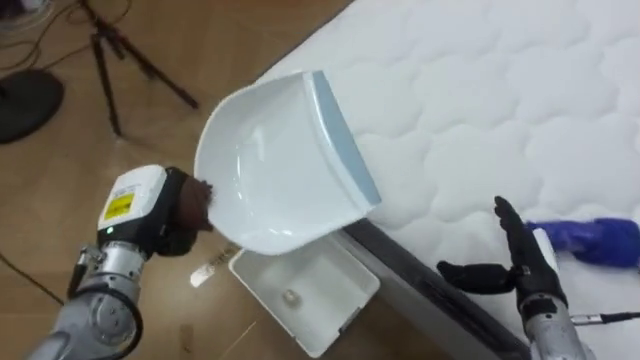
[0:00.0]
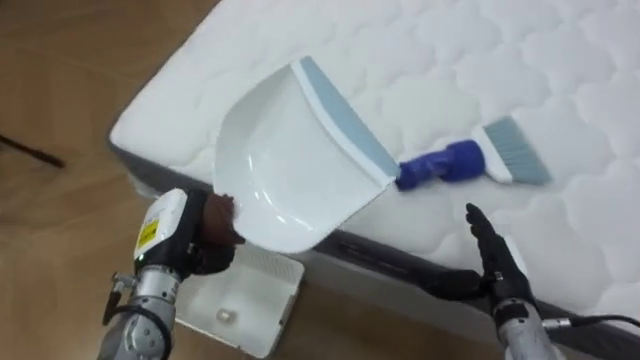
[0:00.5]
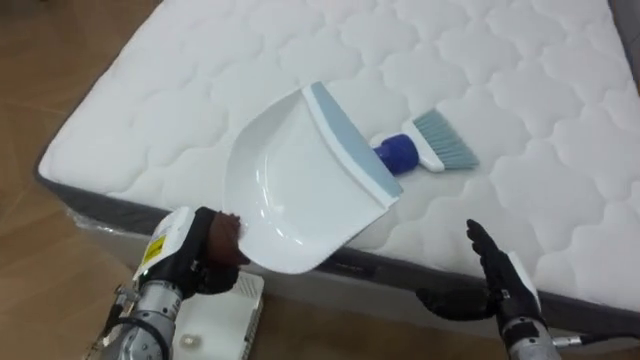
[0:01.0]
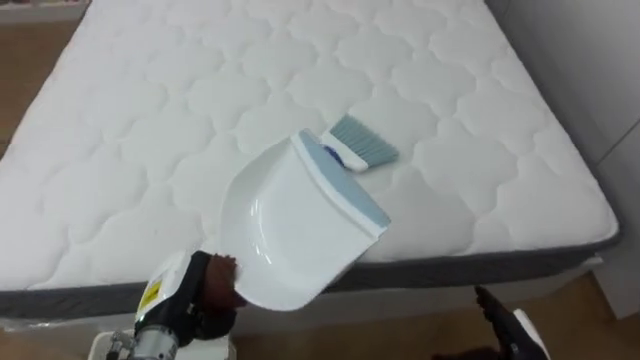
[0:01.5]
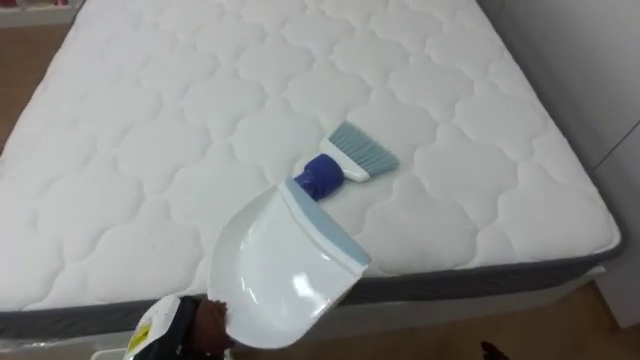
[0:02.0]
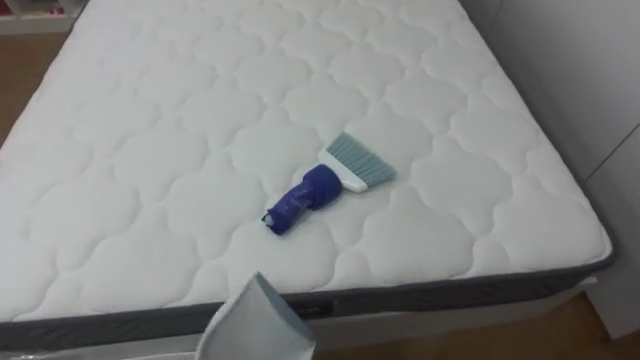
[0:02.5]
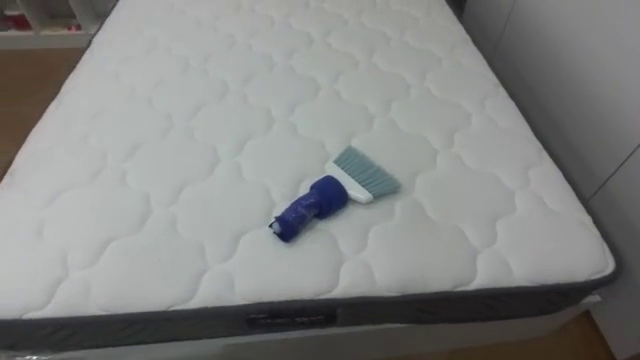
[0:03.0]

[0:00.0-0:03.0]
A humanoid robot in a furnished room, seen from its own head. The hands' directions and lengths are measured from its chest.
Task of the whole recording: Pick up the brush on your right and the dustpan on your left. Use the brush to sweep the crumpled paper on the bed into the dustpan, then turn left and empty it into the basket.
0:00.0 to 0:01.5: The robot rotates approximately 55 degrees to its right. The hands both shift downward and backward by approximately 10 cm.

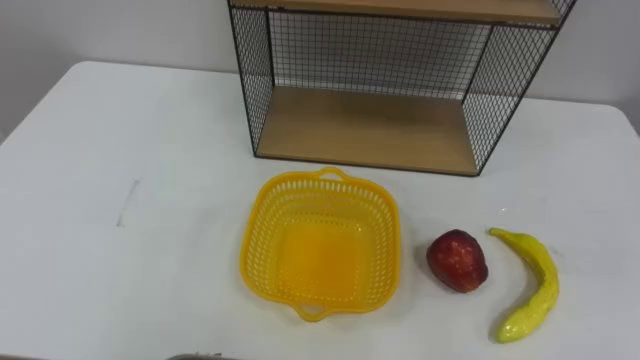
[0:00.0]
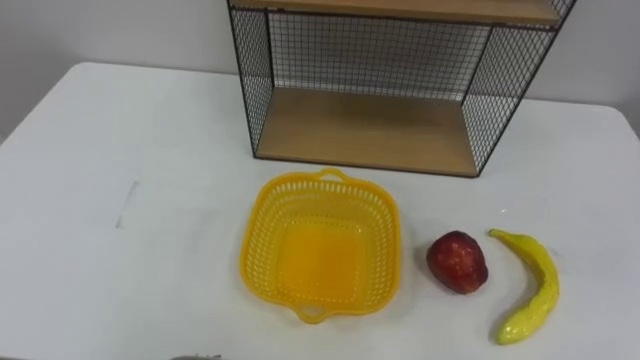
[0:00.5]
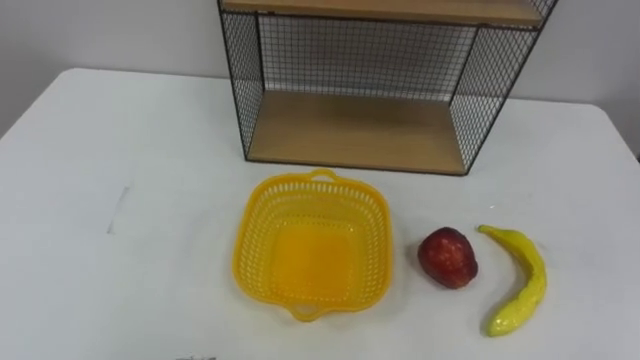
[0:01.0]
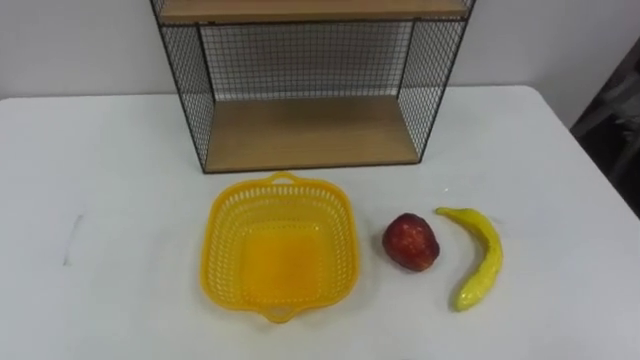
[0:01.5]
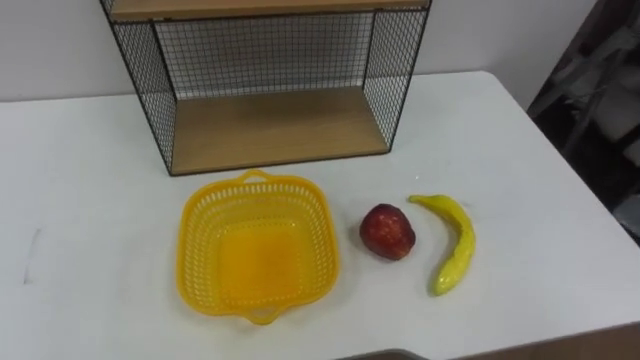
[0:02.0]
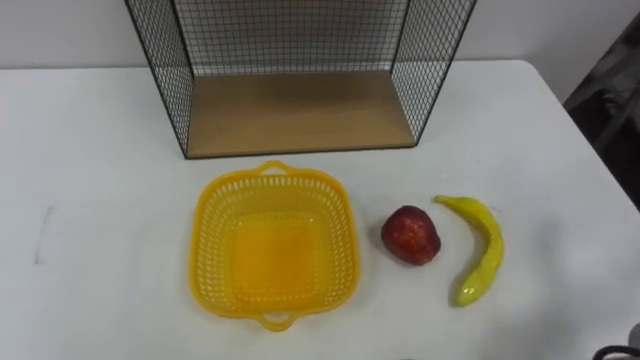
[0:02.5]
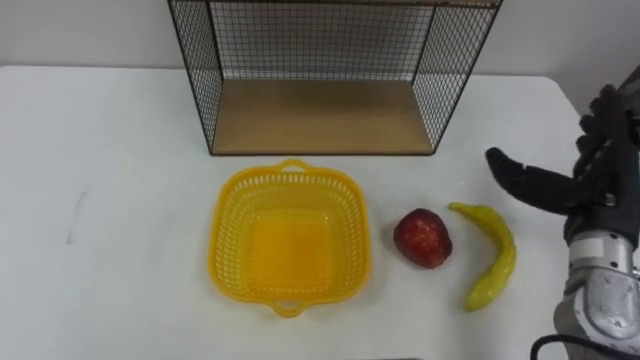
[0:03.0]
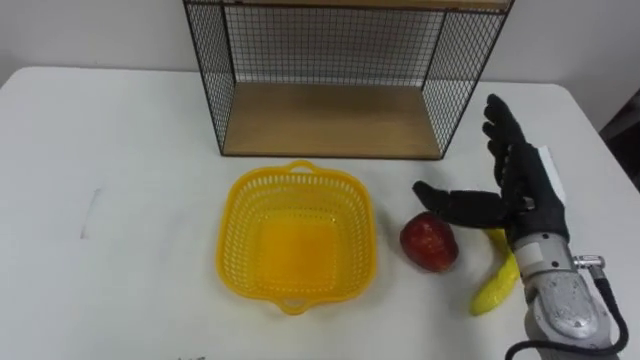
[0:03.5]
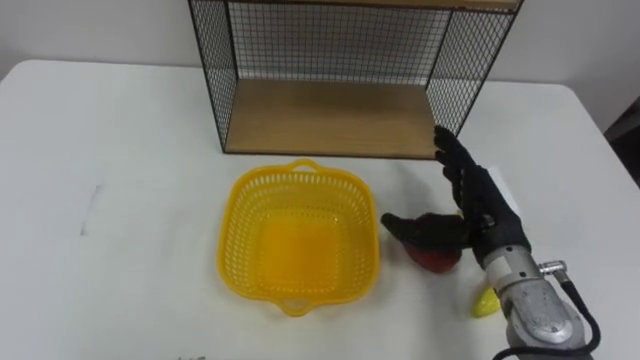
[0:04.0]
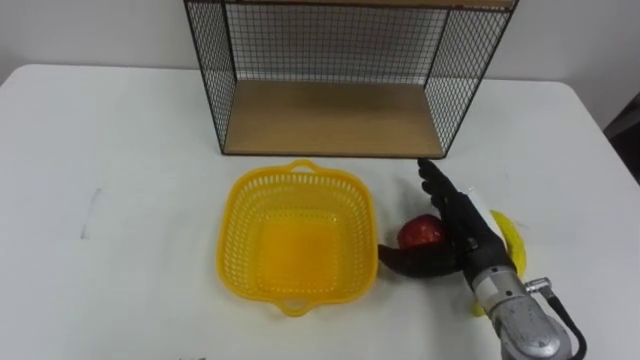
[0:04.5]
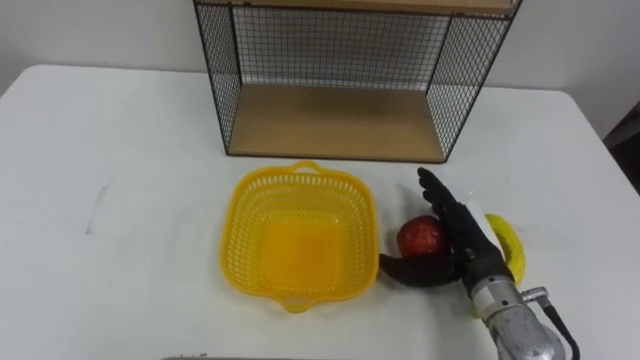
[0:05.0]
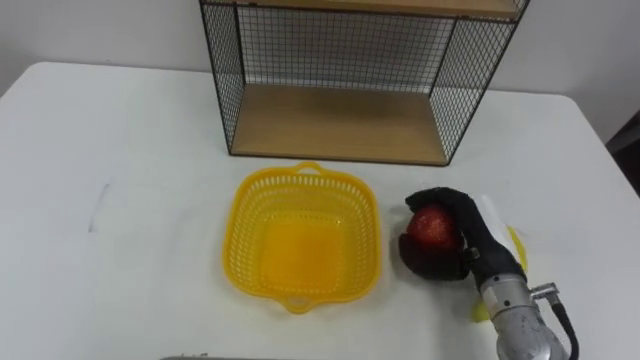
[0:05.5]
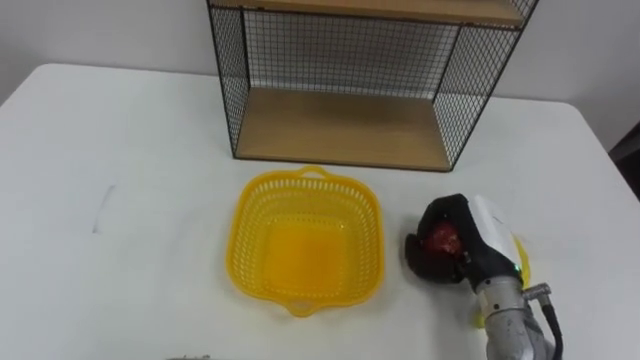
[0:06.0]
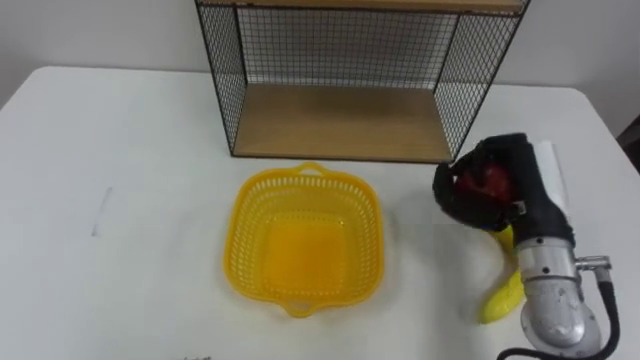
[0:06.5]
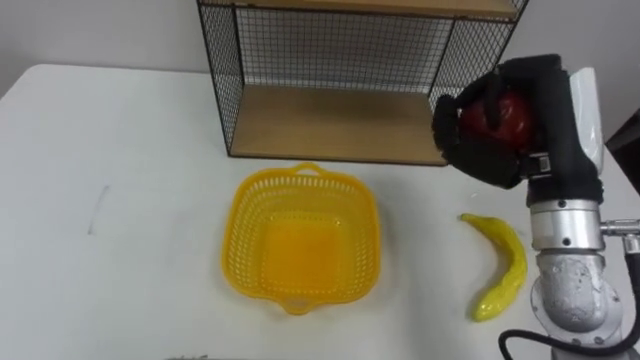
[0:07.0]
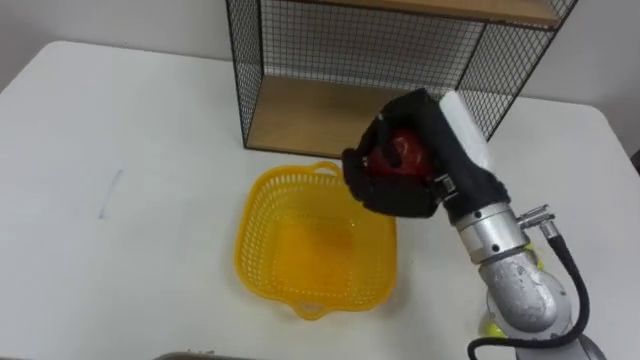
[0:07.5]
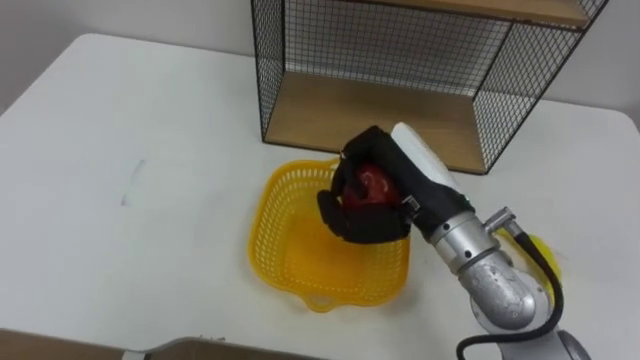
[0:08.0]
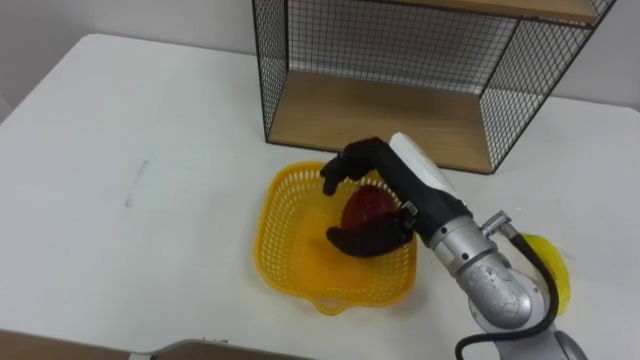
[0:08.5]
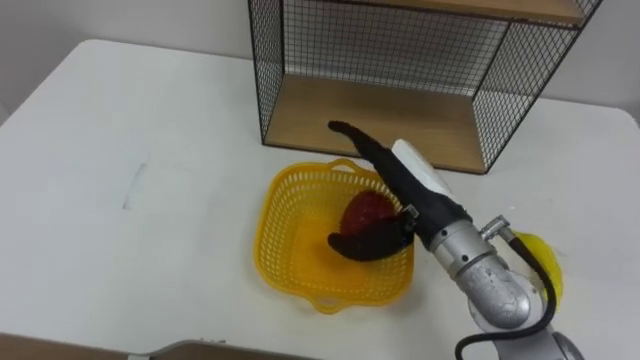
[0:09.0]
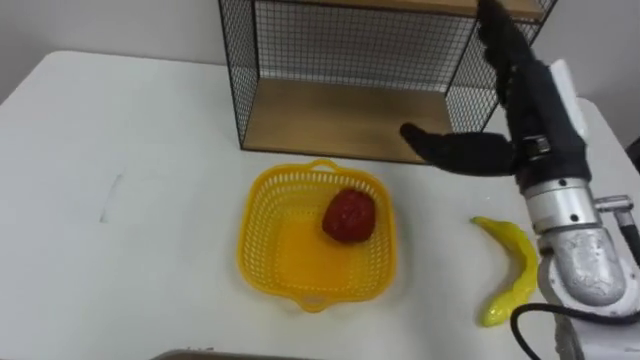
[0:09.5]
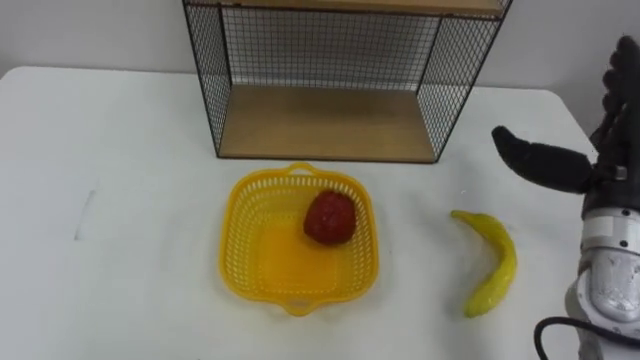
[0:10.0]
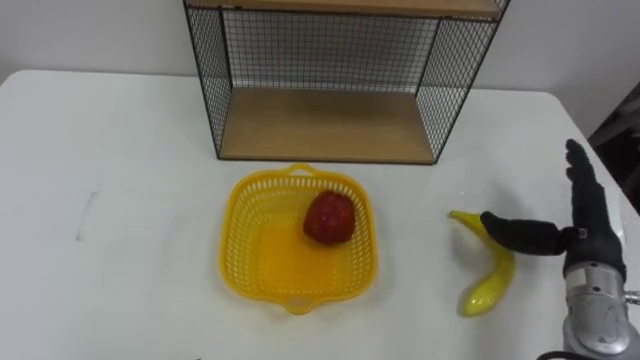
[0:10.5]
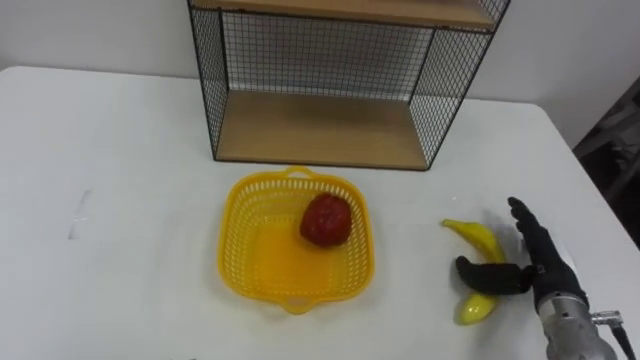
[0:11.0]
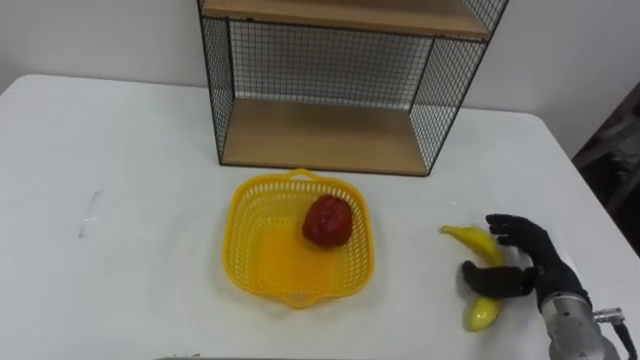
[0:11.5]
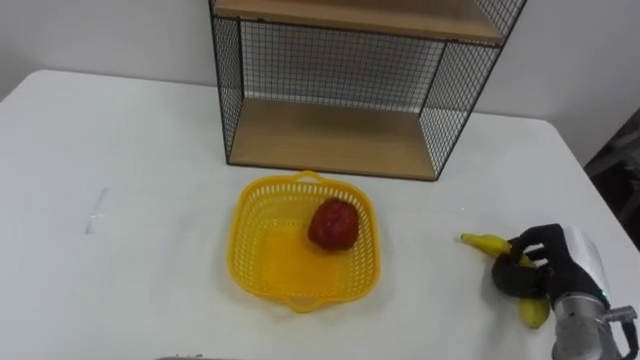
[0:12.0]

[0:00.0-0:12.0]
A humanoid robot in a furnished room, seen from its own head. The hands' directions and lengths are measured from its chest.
Task of the whole recording: Put the fruit on the table into the basket, then place the basket on the shelf.
0:04.0 to 0:06.0: The right hand goes roughly 5 cm downward, and closes up.
0:06.0 to 0:08.0: The right hand shifts some 15 cm upward and to the left.
0:08.0 to 0:10.0: The right hand moves to the right, about 20 cm, and opens up.
0:10.0 to 0:12.0: The right hand heads downward, covering some 20 cm, and closes up.

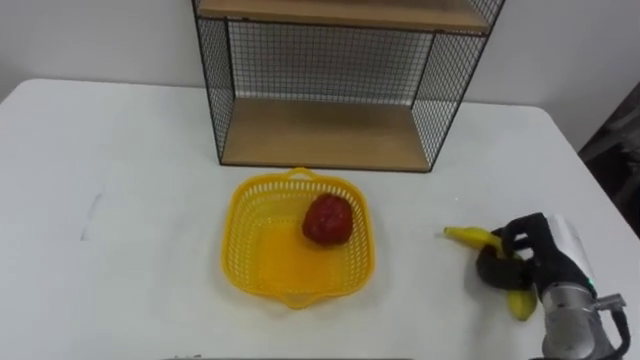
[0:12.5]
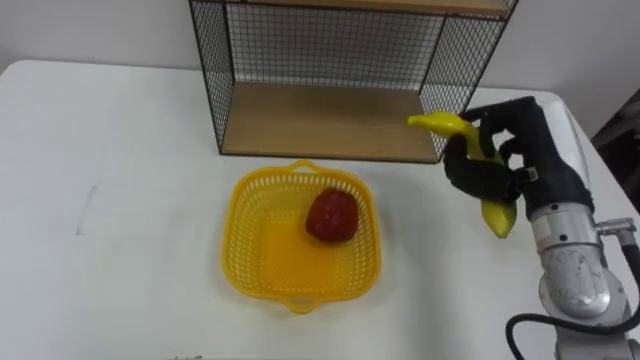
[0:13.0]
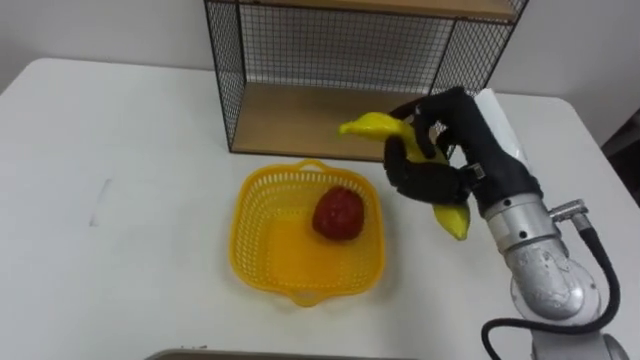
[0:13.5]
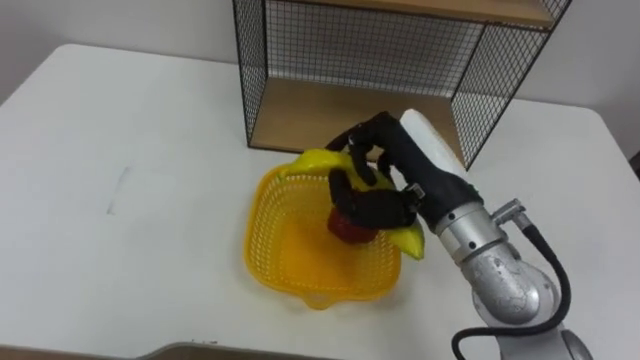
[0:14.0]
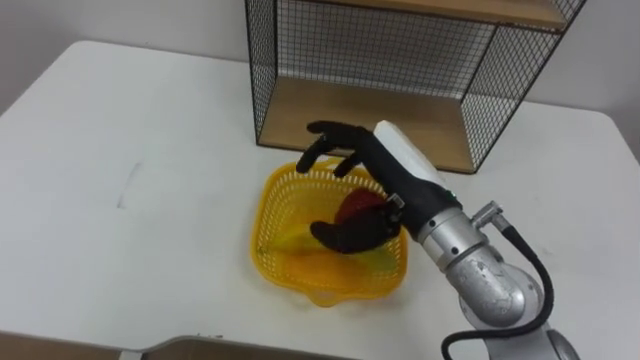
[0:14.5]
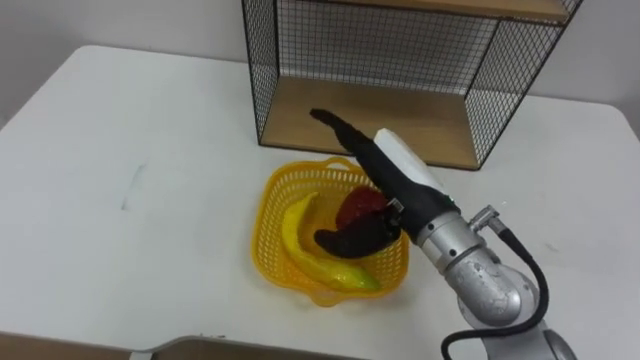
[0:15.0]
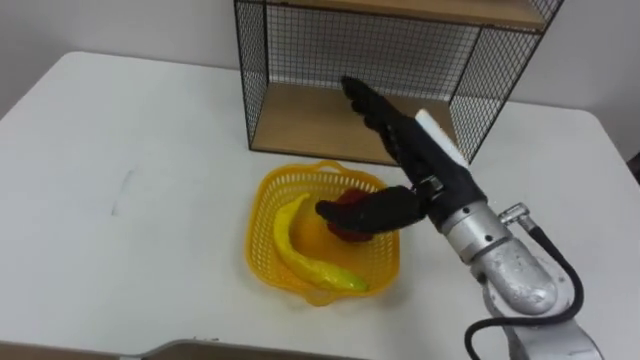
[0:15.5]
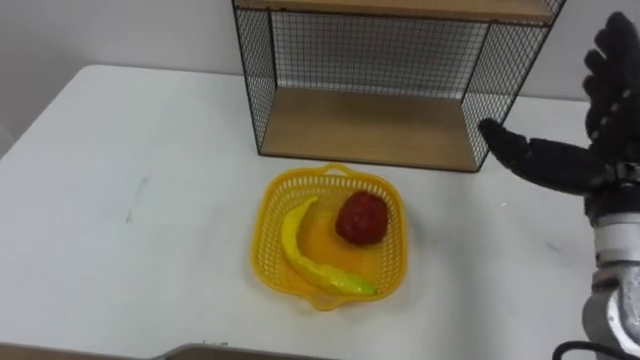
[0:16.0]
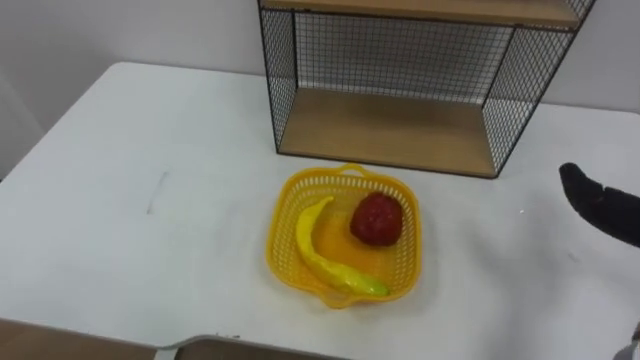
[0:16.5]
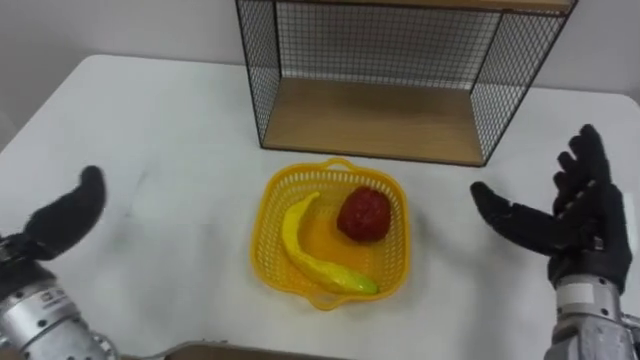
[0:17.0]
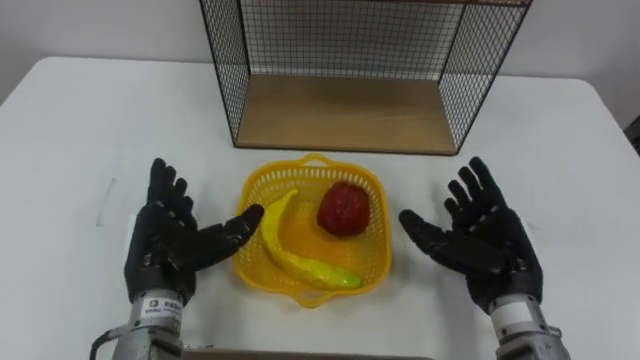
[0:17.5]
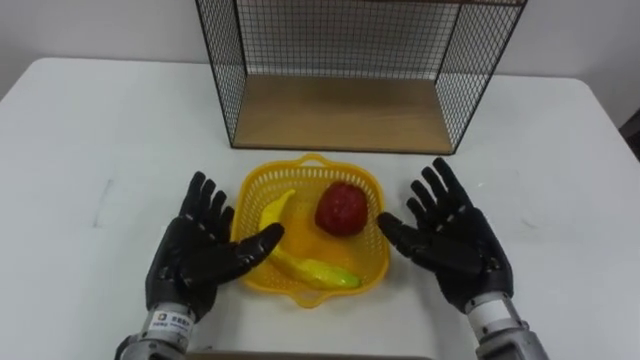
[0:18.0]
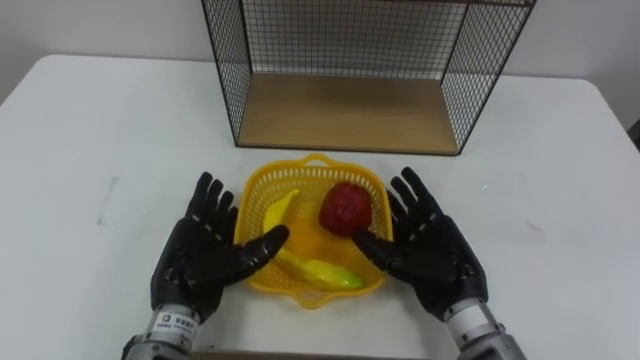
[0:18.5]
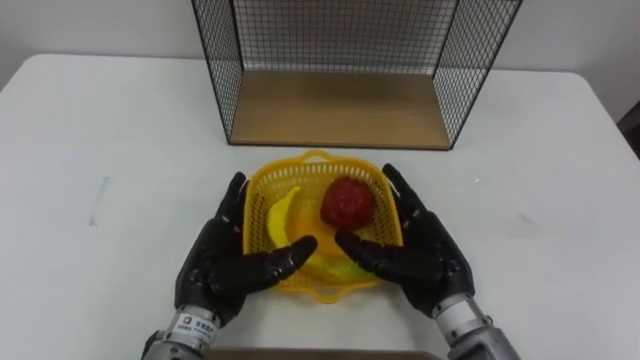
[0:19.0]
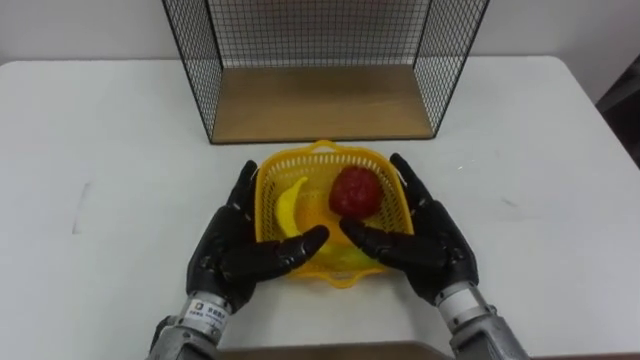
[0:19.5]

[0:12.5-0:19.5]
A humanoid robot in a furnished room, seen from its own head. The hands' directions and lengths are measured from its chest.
Task of the whole recording: Put the fruit on the table into the basket, then place the basket on the shelf.
0:12.5 to 0:14.5: The right hand is displaced to the left and upward by approximately 25 cm, and opens.
0:14.5 to 0:16.0: The right hand heads to the right, covering approximately 20 cm.
0:17.5 to 0:19.5: The right hand travels to the left by about 10 cm, while the left hand shifts about 10 cm to the right.
